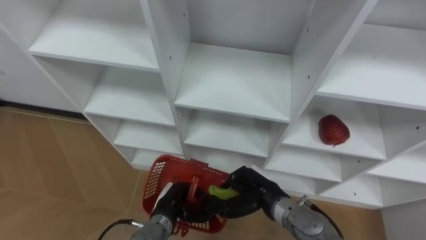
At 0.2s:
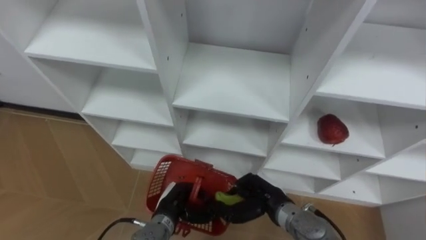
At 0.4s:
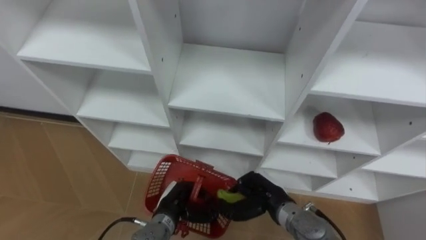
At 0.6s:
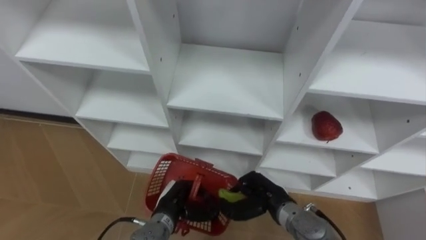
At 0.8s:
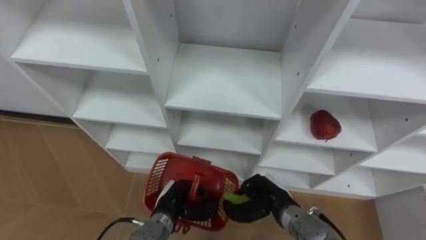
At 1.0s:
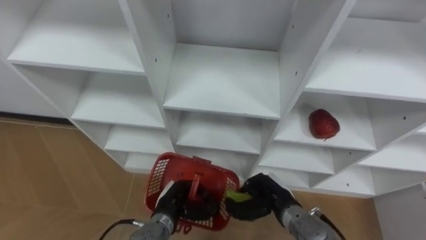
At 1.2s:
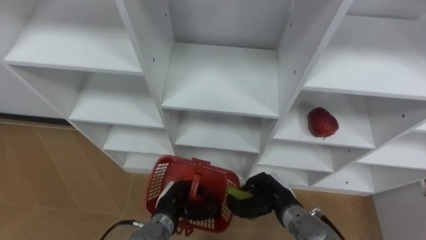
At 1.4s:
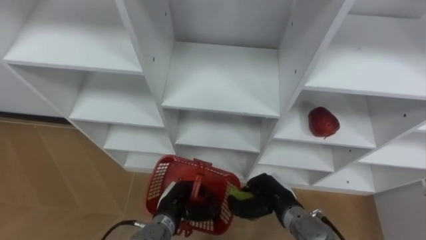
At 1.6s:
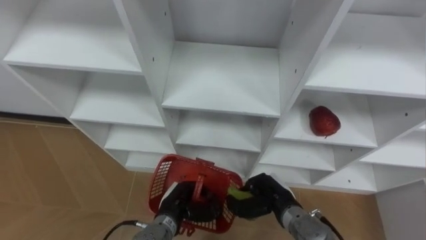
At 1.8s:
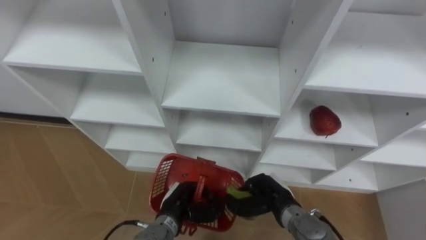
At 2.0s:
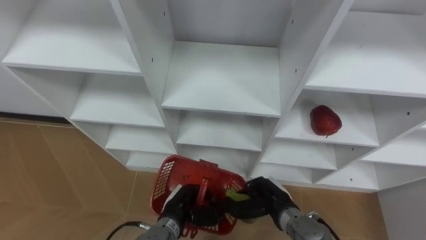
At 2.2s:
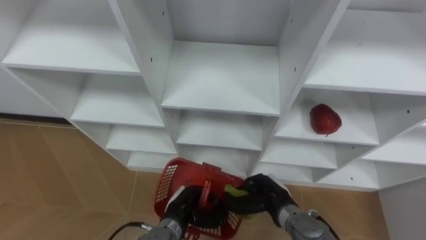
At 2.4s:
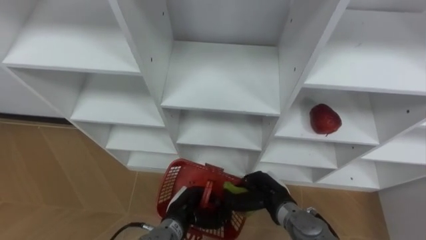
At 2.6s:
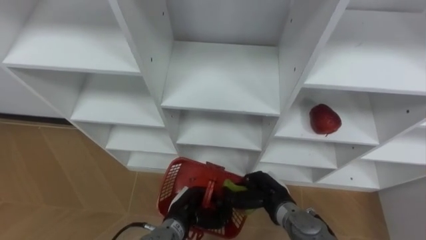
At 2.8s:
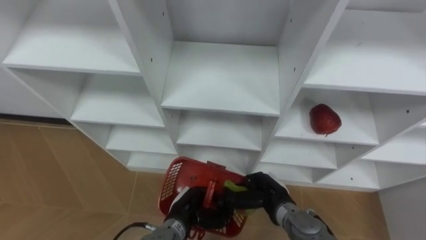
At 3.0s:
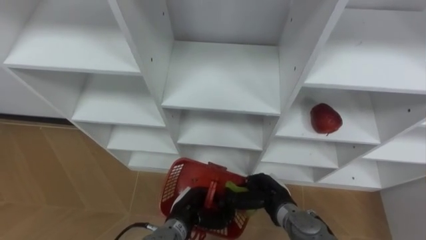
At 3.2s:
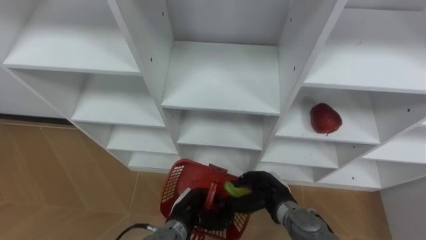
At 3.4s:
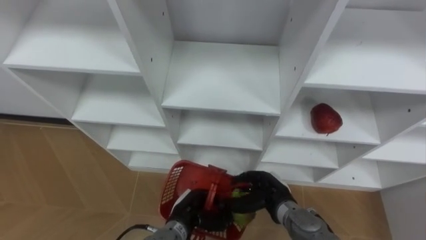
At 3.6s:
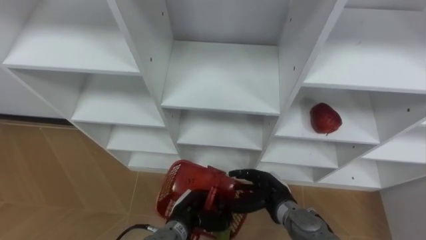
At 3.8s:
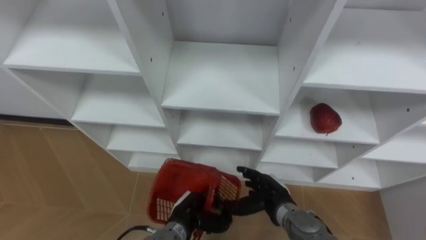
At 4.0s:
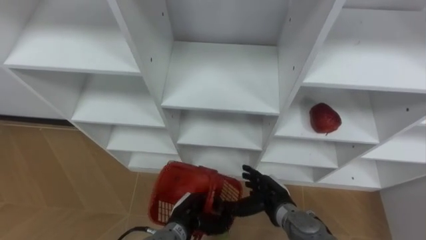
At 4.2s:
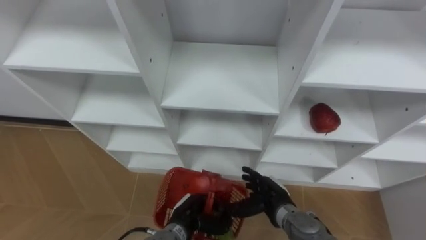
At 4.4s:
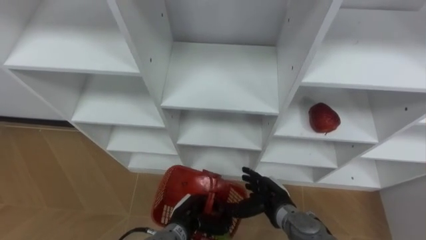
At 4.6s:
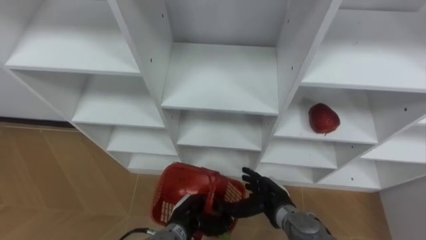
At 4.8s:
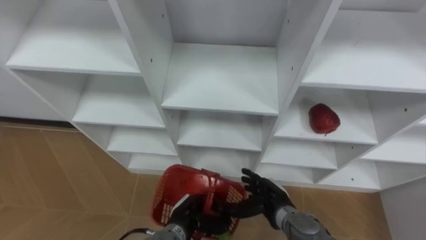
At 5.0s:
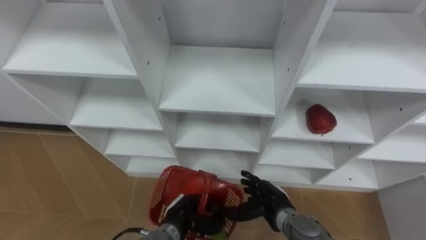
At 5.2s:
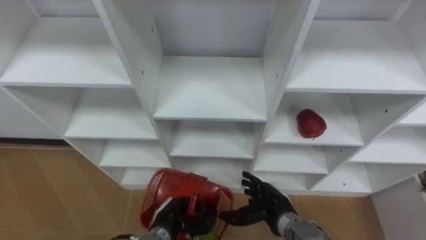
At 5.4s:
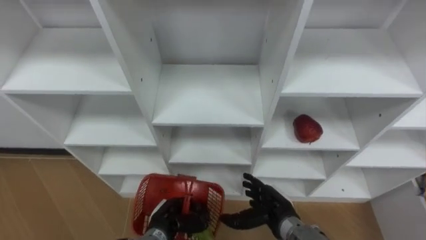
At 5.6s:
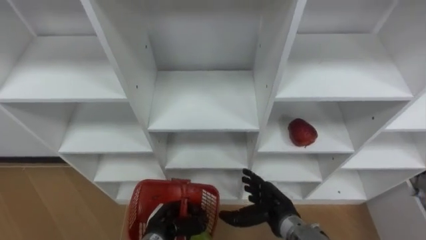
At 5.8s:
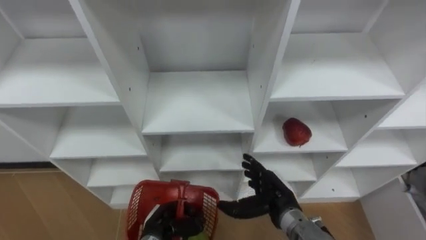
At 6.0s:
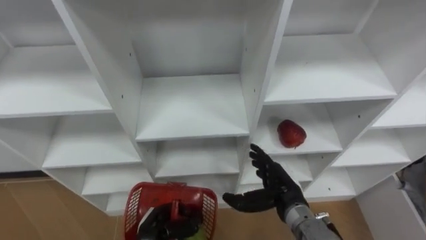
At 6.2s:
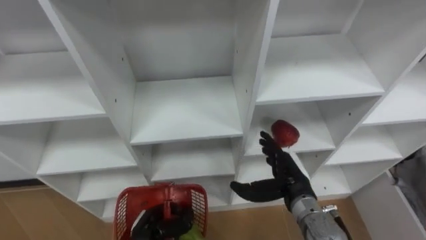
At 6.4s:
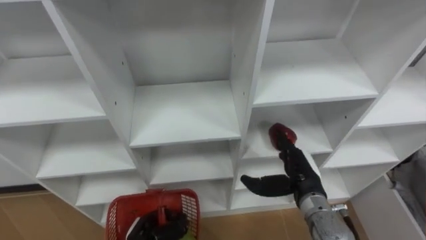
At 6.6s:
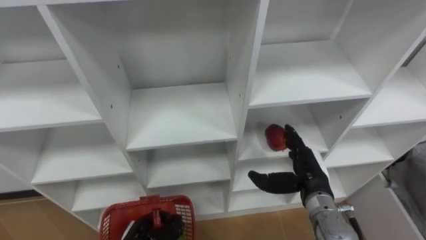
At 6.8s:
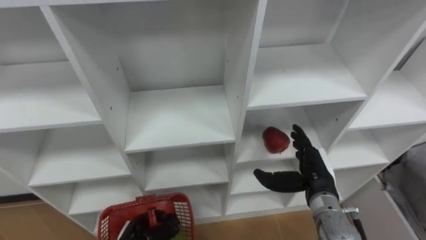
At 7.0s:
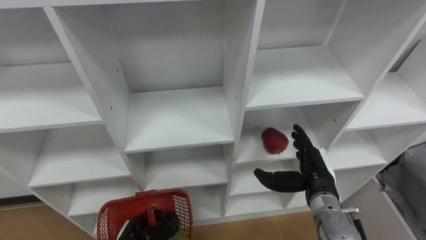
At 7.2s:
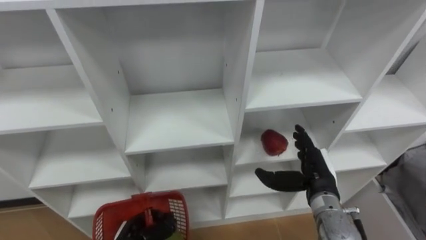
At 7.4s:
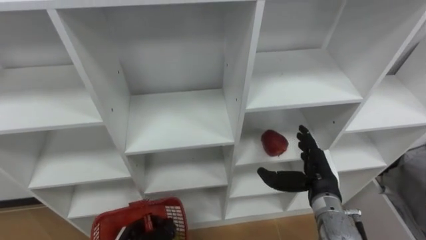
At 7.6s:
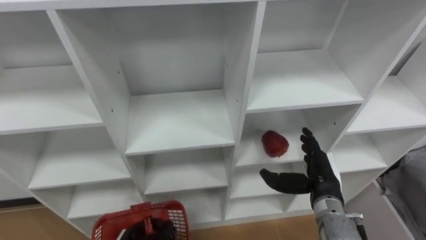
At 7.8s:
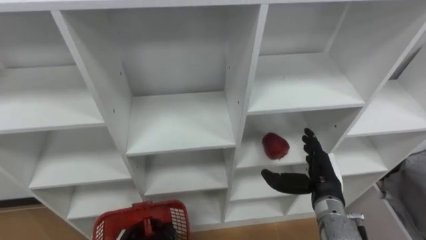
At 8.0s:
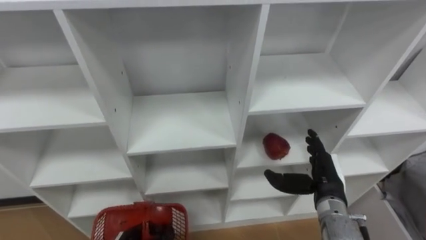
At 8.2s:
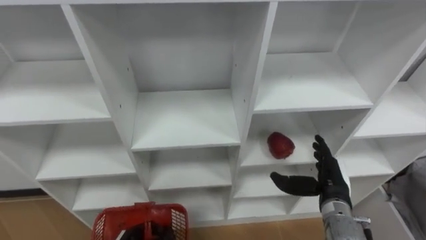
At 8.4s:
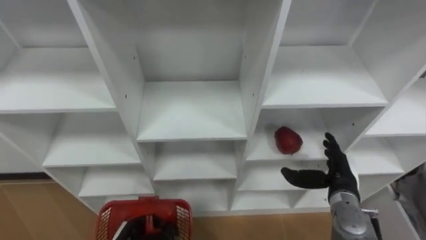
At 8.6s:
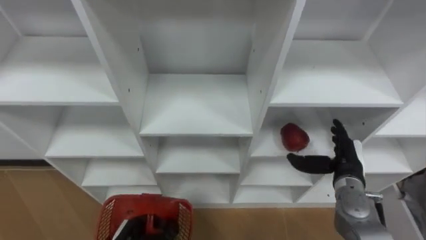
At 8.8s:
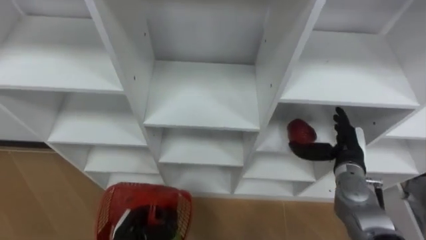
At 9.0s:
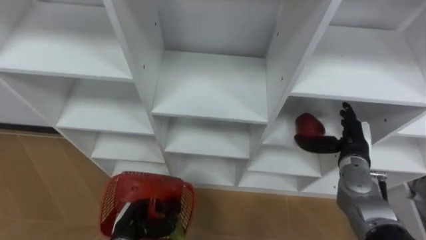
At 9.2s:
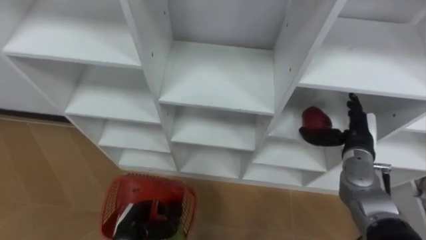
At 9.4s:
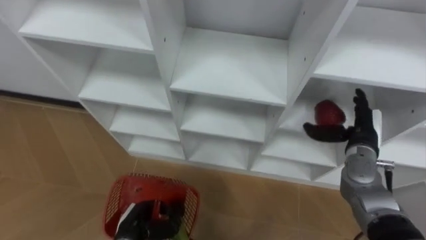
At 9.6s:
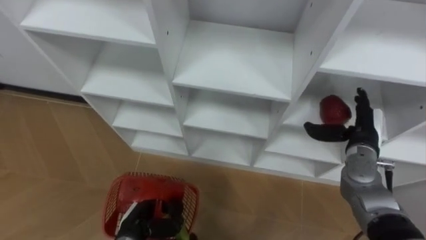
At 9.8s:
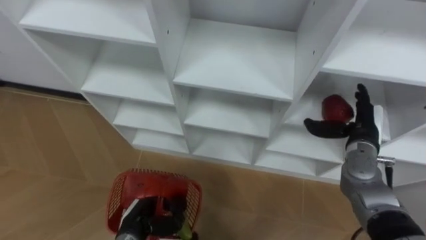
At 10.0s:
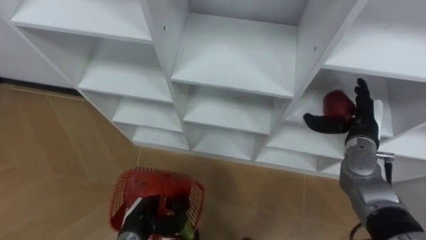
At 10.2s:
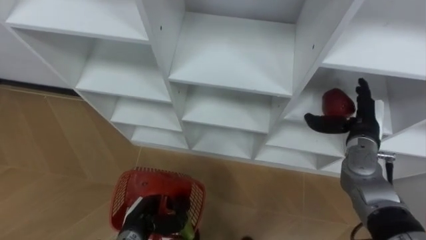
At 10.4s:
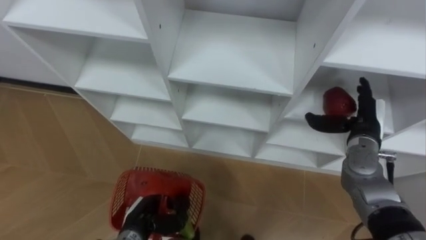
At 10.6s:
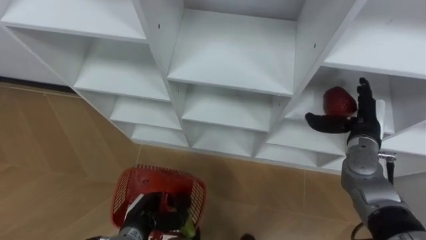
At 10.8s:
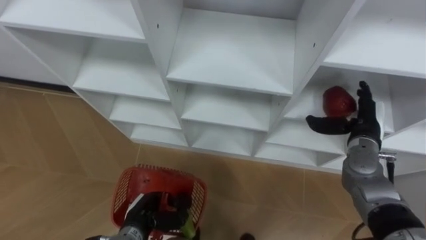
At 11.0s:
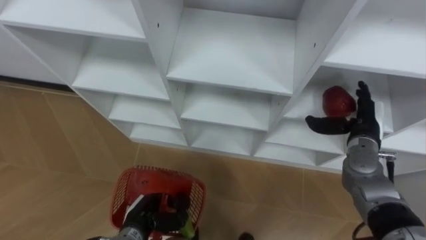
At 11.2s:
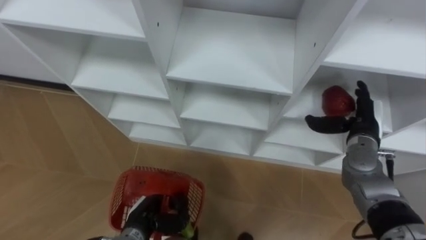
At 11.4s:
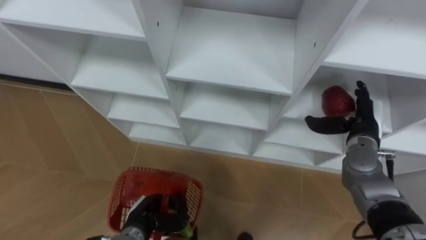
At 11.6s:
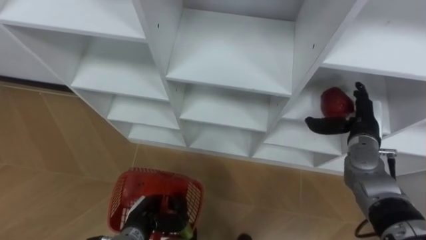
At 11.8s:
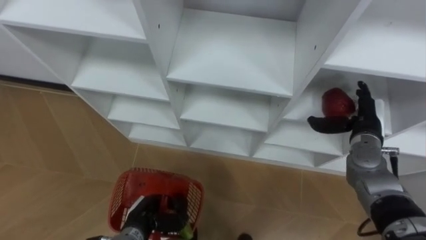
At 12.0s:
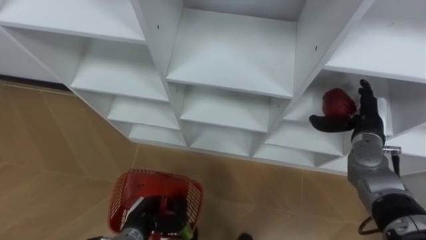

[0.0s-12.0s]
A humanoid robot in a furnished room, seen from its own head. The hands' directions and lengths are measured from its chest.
Task of the whole recording: Hold the basket and collect the fruits from 3 different cells of the closet into it.
1.6s to 3.0s: The hands make only small movements.
3.0s to 4.4s: The right hand opens.
4.4s to 6.0s: The left hand heads to the left, covering approximately 5 cm; the right hand travels upward by approximately 5 cm.
6.0s to 7.6s: The right hand moves to the right, approximately 10 cm.
7.6s to 9.0s: The right hand is displaced to the right and forward by roughly 10 cm.
9.0s to 10.4s: The right hand moves approximately 5 cm.

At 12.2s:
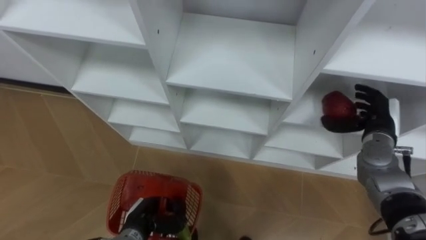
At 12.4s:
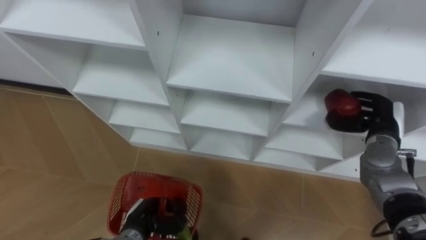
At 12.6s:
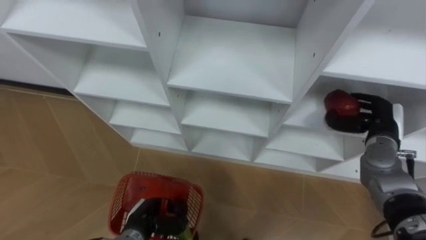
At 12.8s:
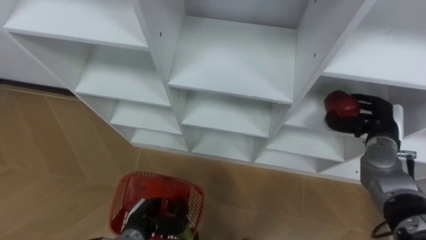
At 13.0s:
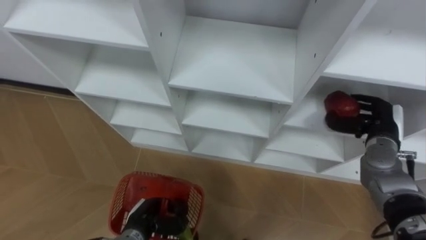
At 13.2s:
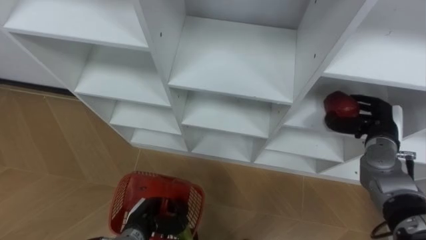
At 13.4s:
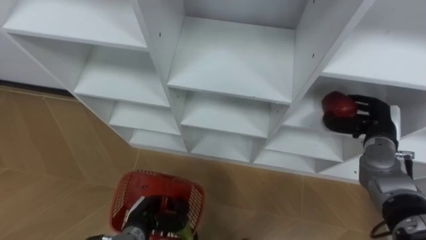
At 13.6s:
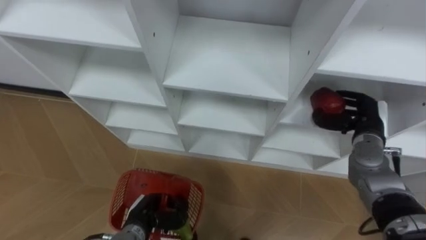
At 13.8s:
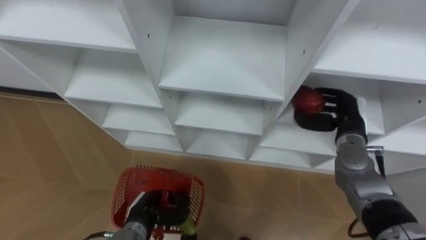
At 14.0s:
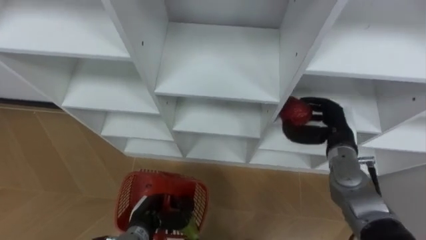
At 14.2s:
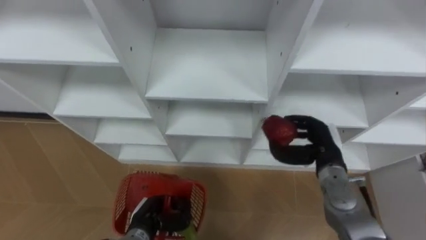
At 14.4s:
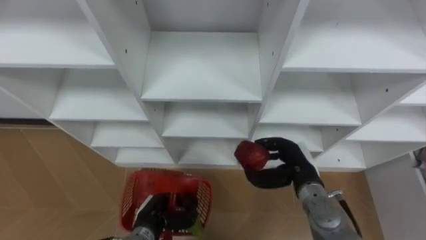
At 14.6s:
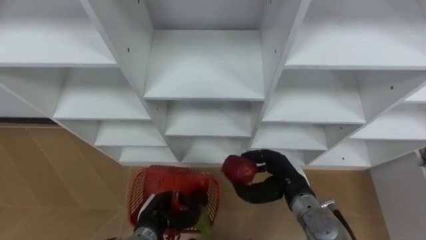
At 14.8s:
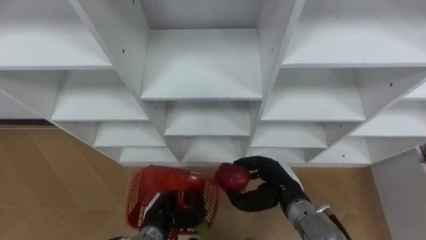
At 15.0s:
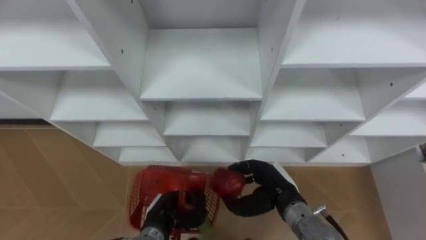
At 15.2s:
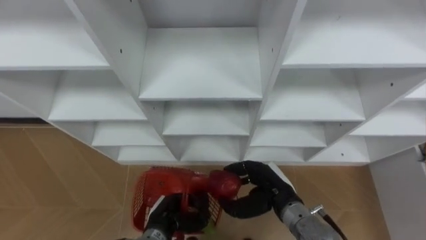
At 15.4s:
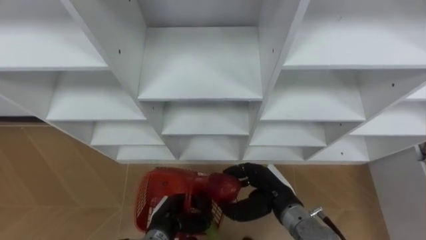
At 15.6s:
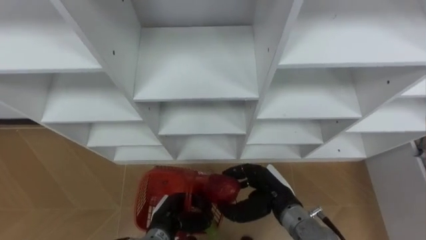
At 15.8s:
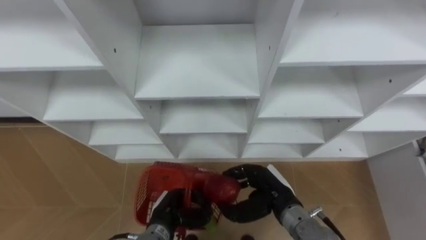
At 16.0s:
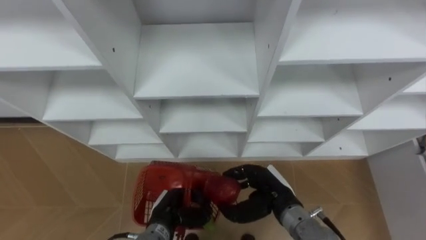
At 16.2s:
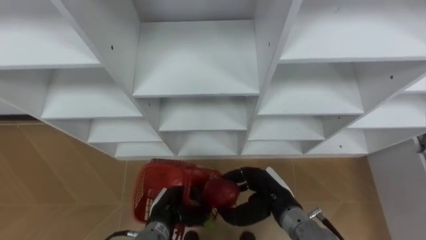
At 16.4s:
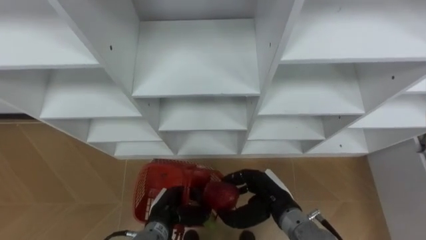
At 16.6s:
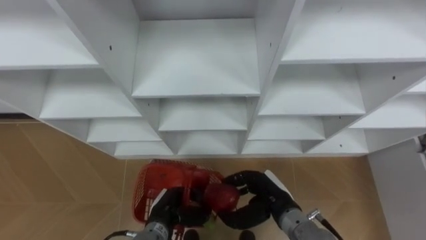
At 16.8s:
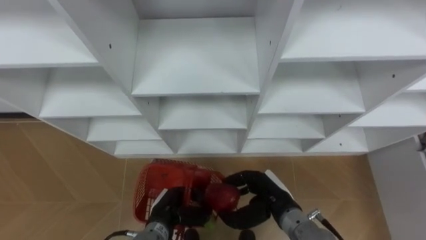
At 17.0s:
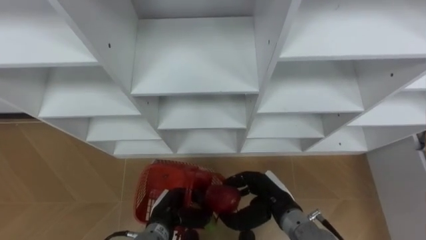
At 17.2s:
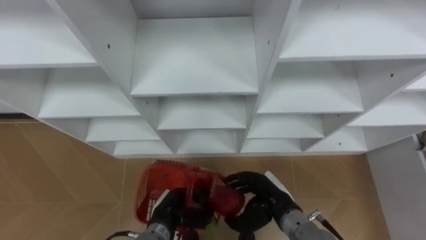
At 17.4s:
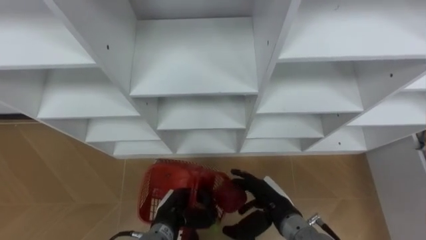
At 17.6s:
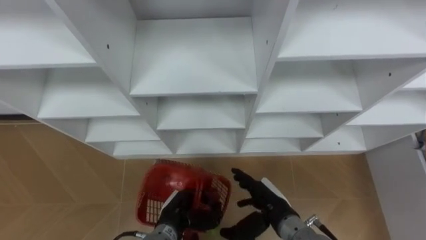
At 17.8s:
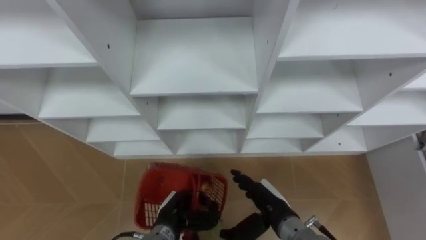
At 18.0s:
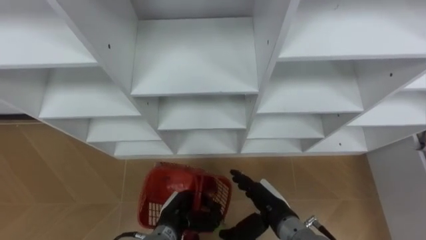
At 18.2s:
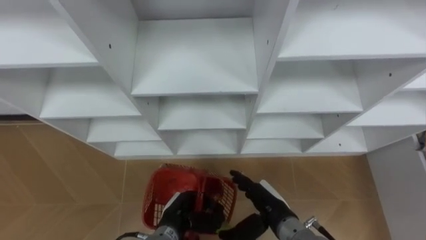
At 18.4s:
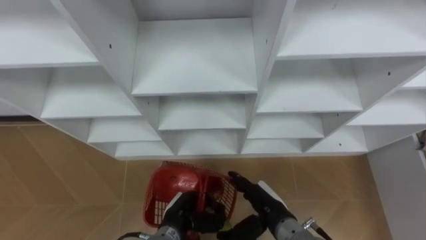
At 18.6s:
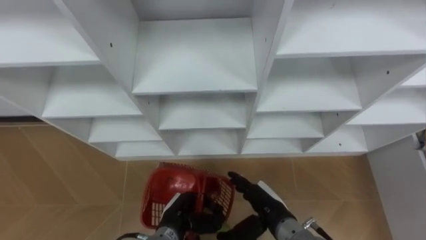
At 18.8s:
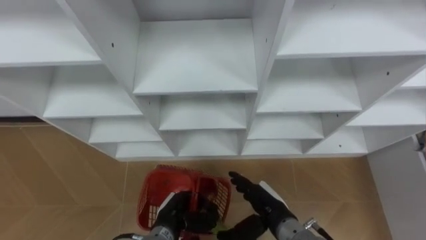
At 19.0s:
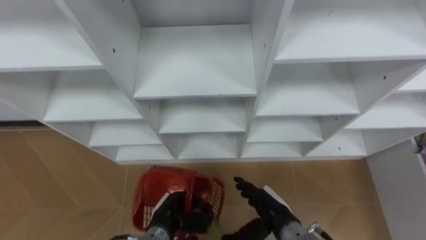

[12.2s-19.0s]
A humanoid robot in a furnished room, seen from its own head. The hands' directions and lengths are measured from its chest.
Task of the whole recording: Hold the basket and collect the fruits from 3 different cells of the closet into it.
13.6s to 15.0s: The right hand heads to the left and backward, covering some 20 cm.
16.2s to 17.6s: The right hand opens up.
